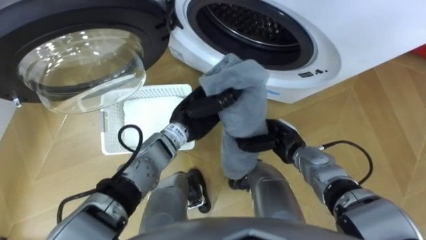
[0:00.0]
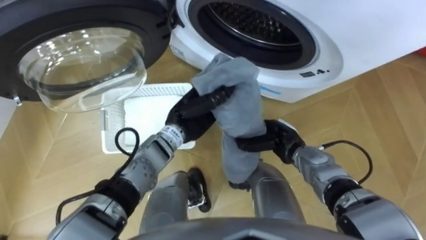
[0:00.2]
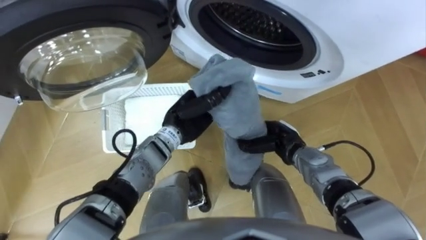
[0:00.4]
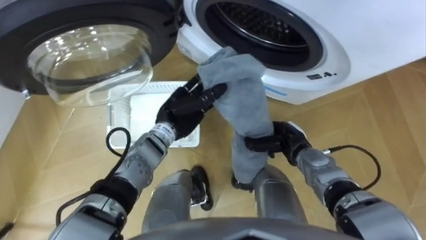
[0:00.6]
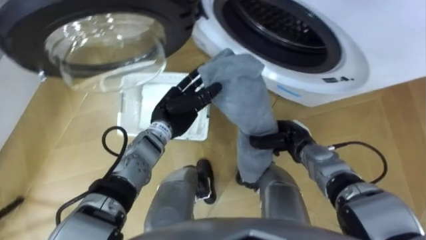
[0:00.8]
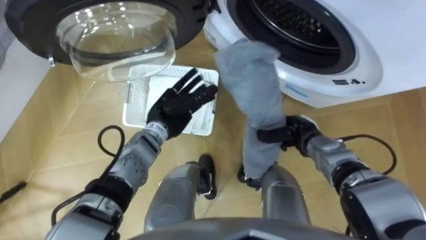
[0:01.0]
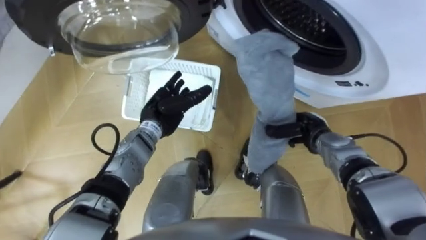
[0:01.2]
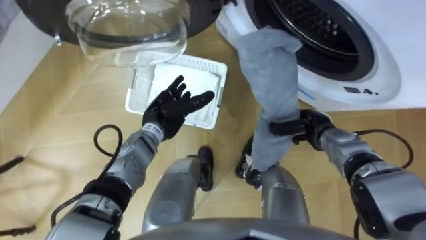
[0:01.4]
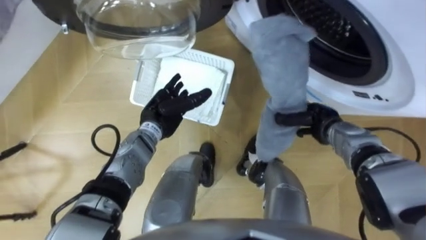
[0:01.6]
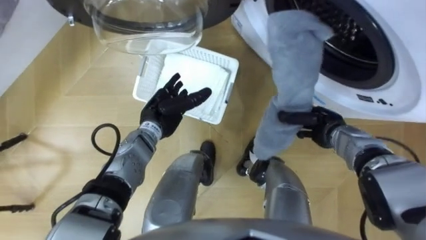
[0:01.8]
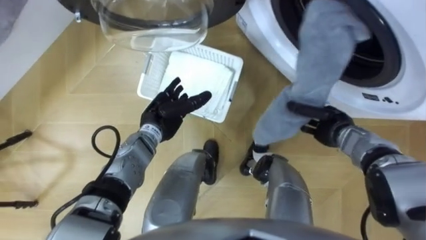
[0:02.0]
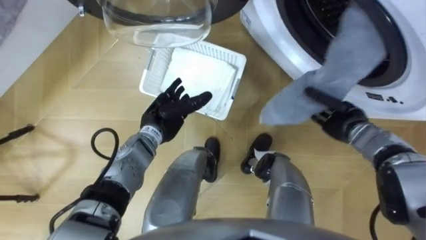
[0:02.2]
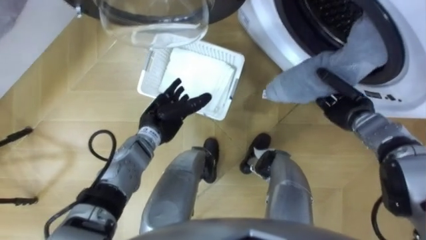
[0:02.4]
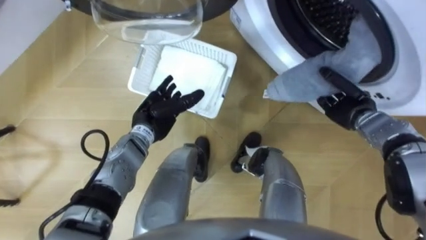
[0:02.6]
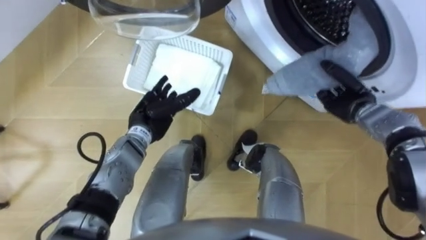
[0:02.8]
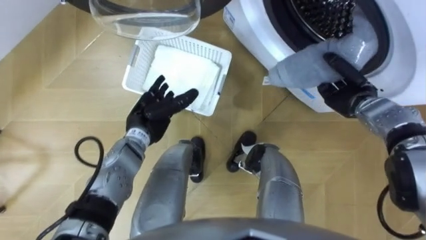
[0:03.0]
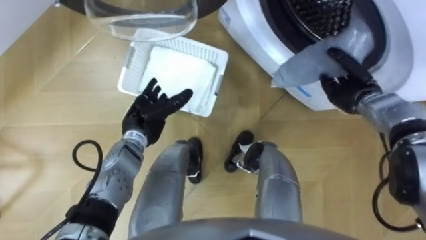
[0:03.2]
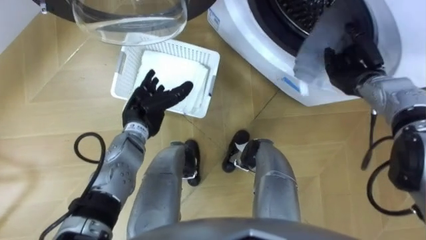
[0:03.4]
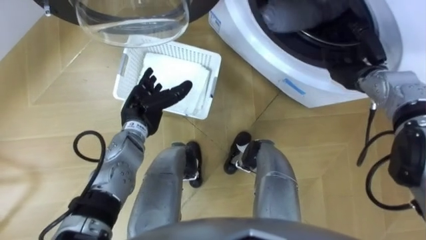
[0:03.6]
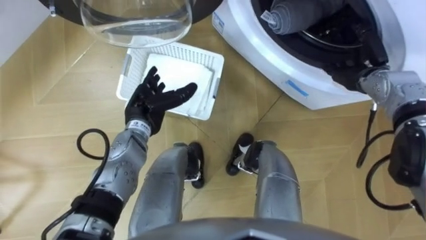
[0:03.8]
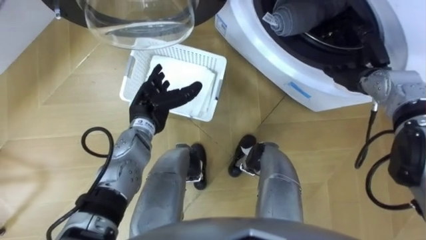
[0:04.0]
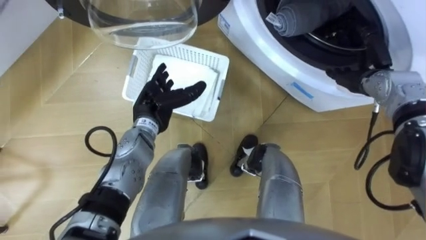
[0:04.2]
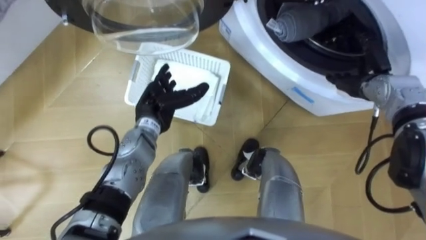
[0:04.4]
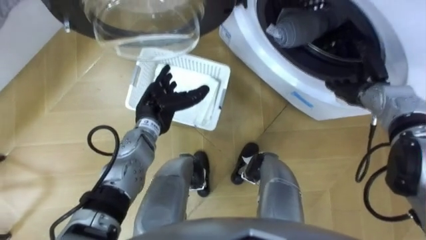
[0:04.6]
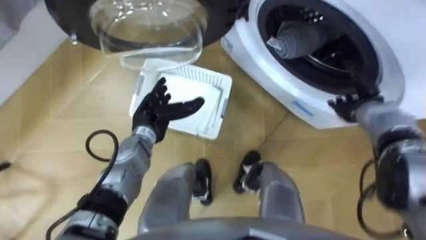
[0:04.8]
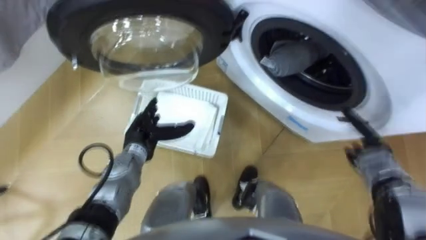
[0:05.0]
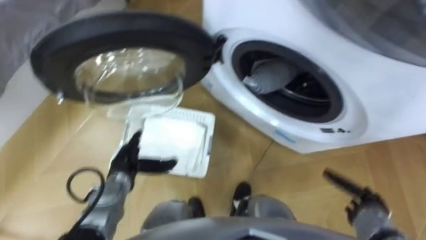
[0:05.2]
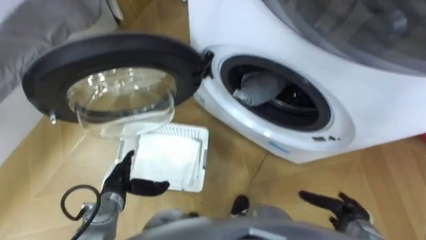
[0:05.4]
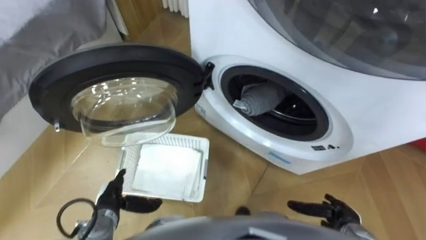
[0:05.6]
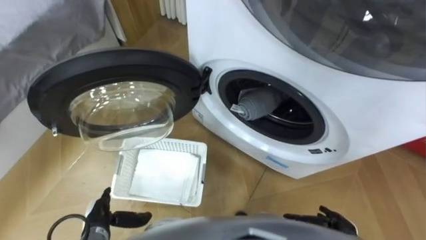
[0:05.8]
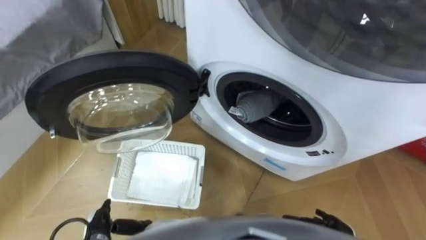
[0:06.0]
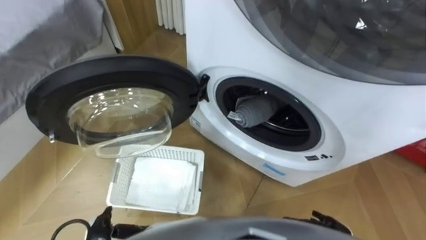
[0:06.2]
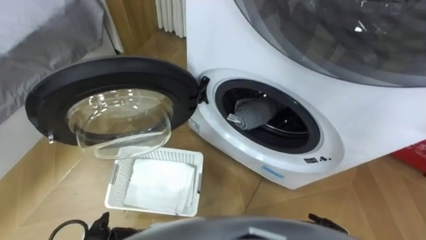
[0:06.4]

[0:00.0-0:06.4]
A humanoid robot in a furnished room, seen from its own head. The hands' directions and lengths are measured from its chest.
Task of the whole recording: Take the towel from the basket and put it into the washing machine.
0:00.0 to 0:01.6: The left hand goes roughly 10 cm to the left, and opens; the right hand shifts roughly 10 cm to the right.
0:01.6 to 0:03.2: The right hand travels to the right and upward by about 10 cm.
0:04.8 to 0:06.4: The right hand shifts about 30 cm backward and downward.

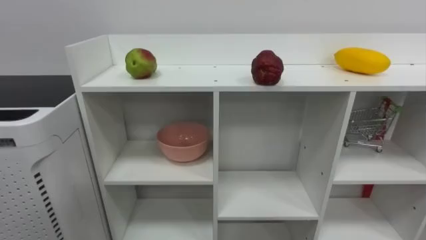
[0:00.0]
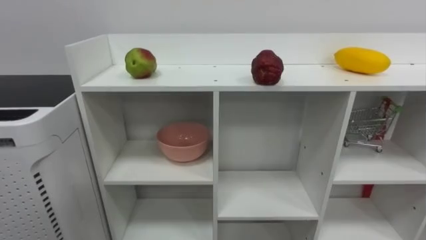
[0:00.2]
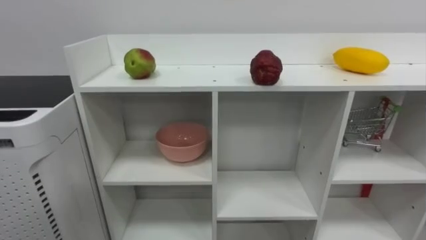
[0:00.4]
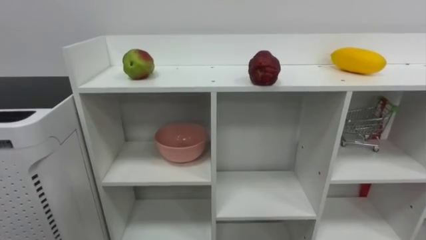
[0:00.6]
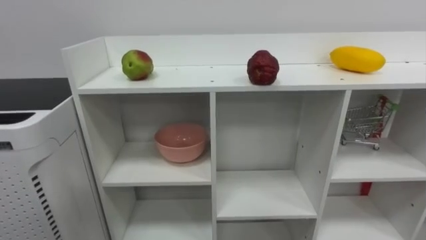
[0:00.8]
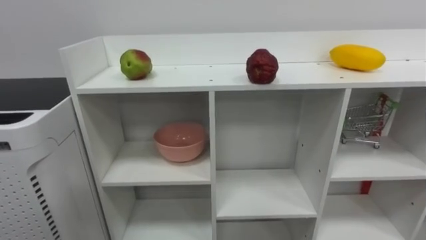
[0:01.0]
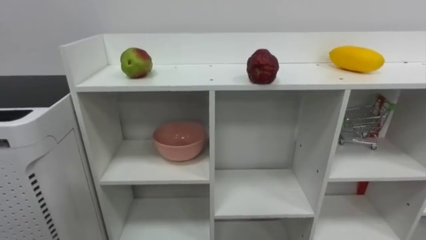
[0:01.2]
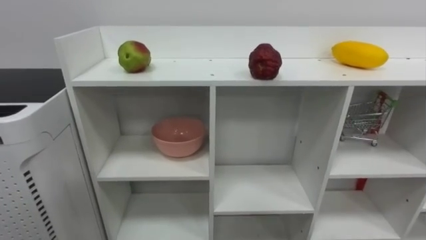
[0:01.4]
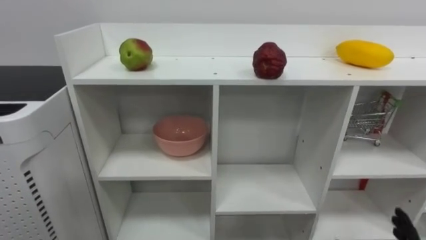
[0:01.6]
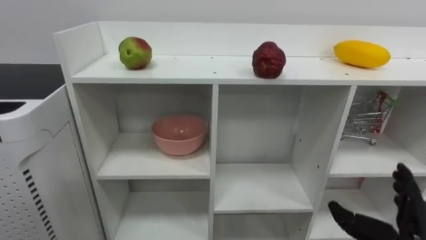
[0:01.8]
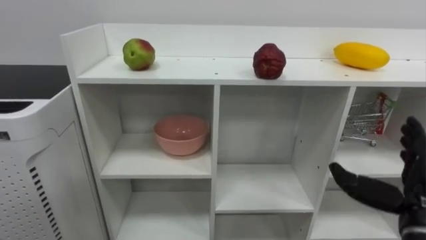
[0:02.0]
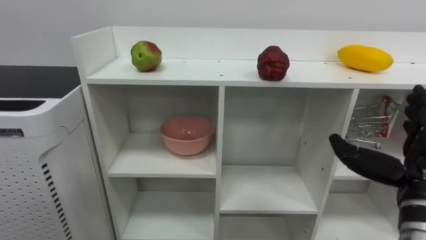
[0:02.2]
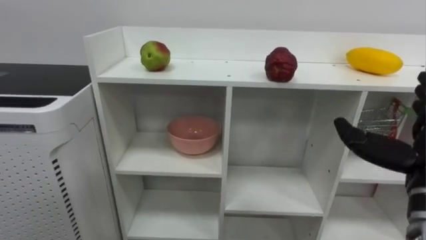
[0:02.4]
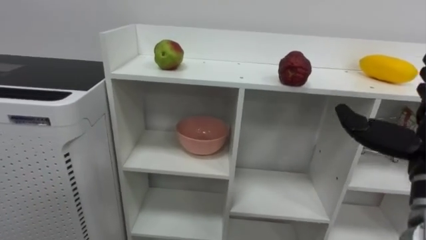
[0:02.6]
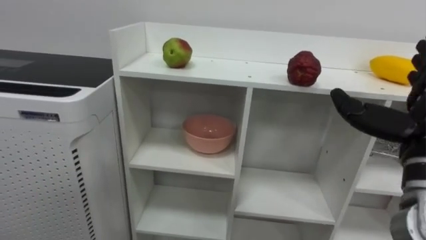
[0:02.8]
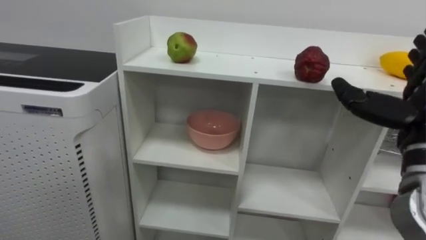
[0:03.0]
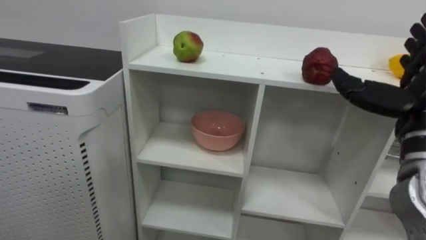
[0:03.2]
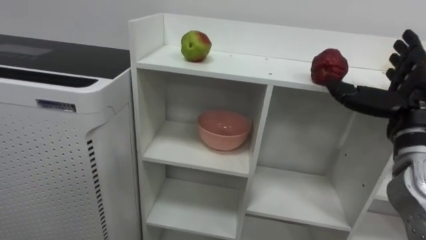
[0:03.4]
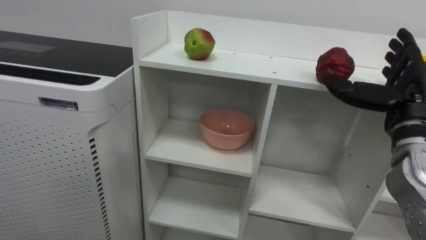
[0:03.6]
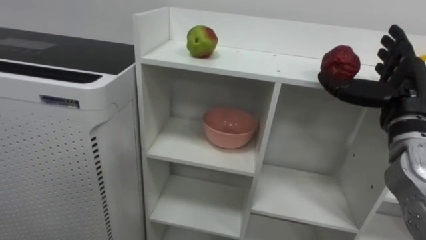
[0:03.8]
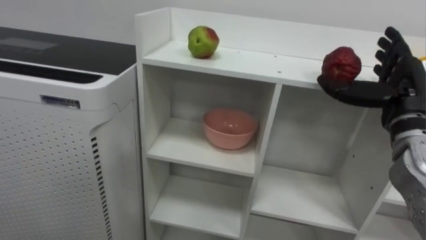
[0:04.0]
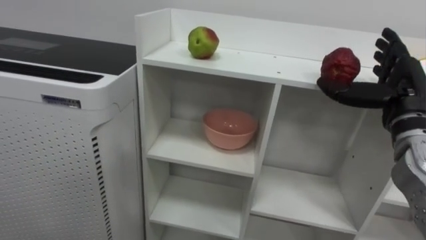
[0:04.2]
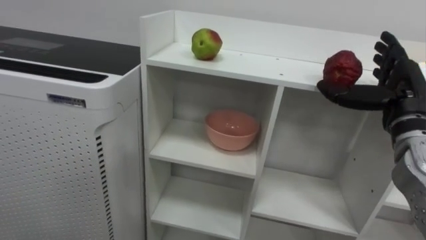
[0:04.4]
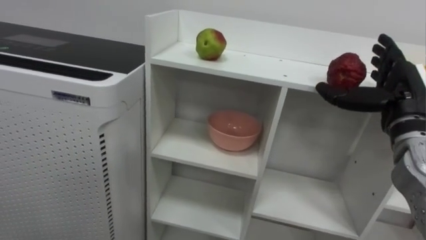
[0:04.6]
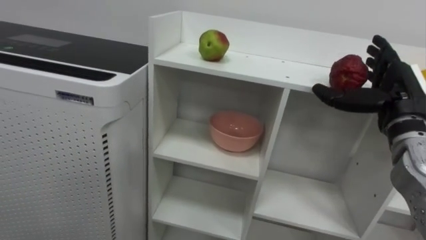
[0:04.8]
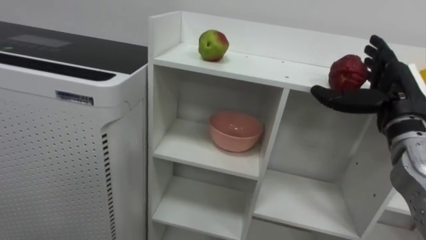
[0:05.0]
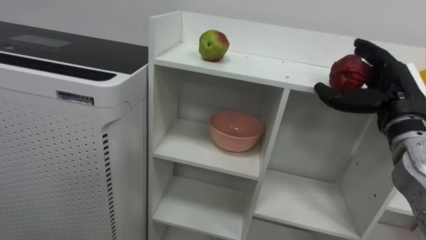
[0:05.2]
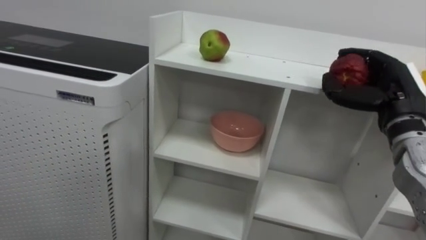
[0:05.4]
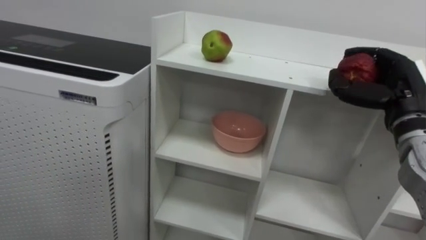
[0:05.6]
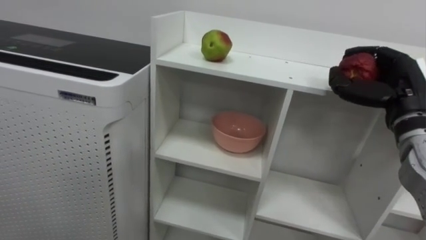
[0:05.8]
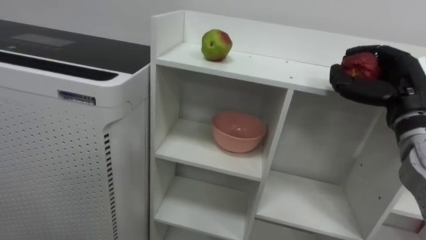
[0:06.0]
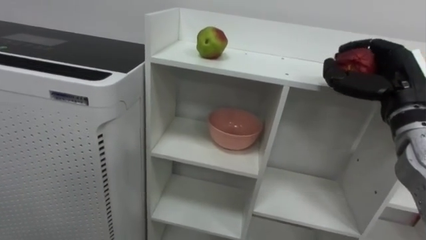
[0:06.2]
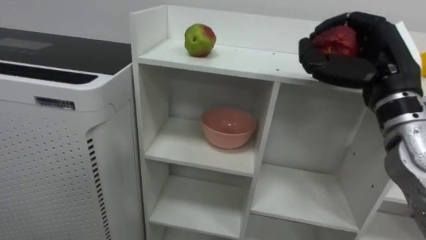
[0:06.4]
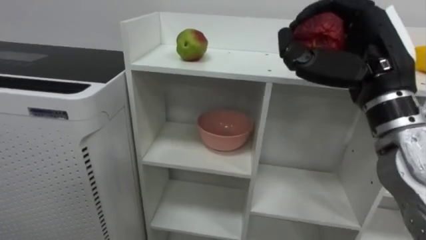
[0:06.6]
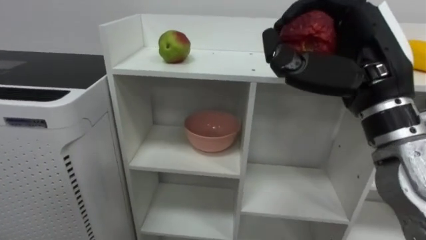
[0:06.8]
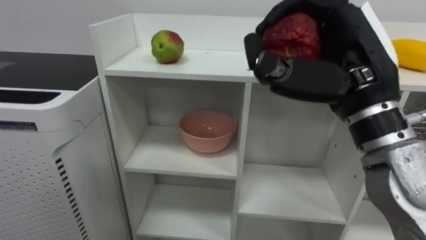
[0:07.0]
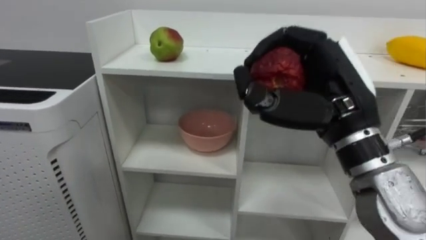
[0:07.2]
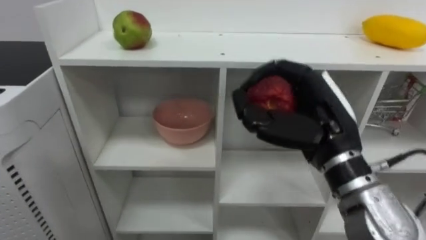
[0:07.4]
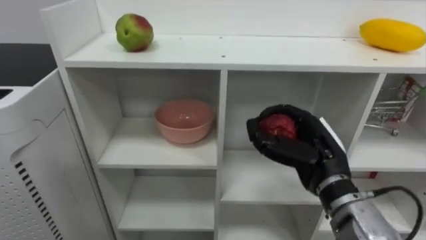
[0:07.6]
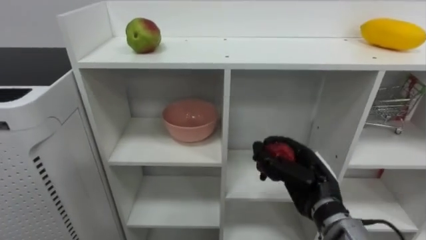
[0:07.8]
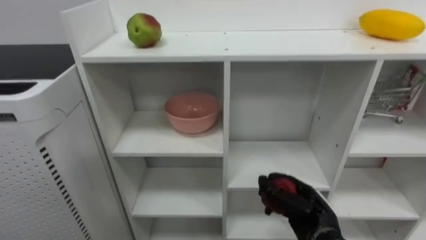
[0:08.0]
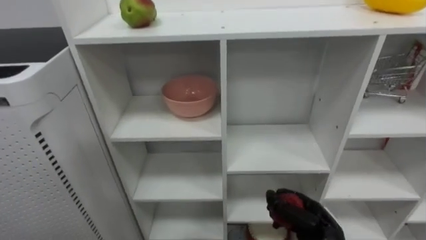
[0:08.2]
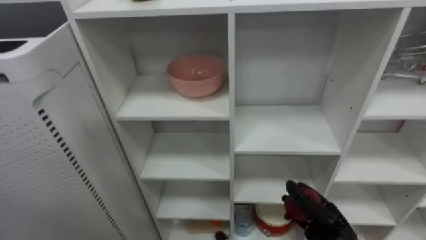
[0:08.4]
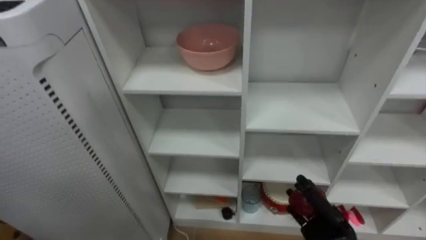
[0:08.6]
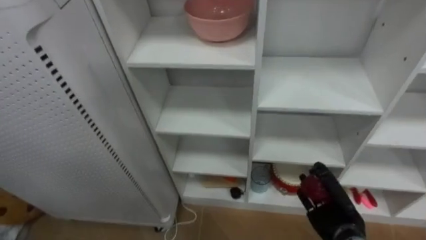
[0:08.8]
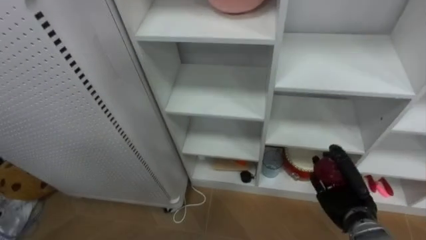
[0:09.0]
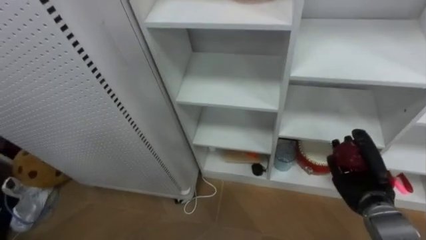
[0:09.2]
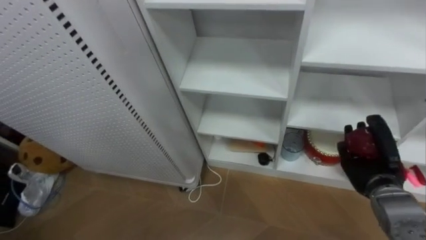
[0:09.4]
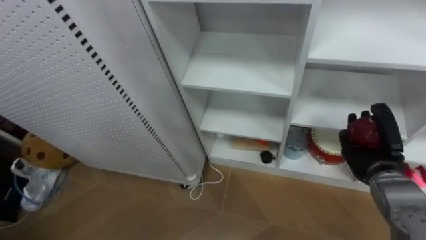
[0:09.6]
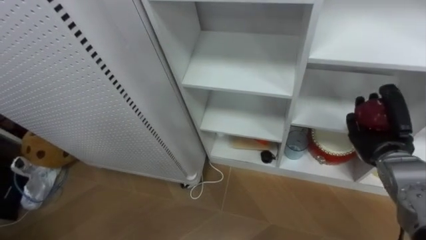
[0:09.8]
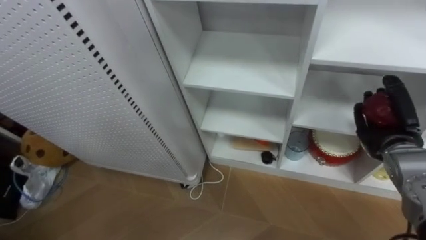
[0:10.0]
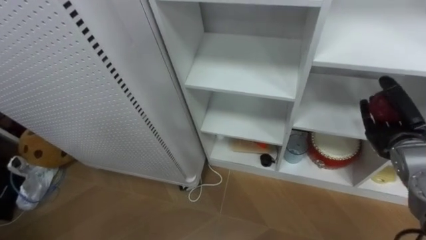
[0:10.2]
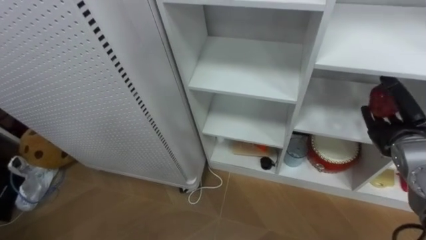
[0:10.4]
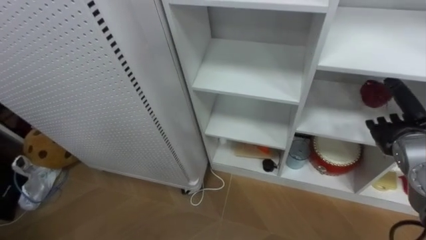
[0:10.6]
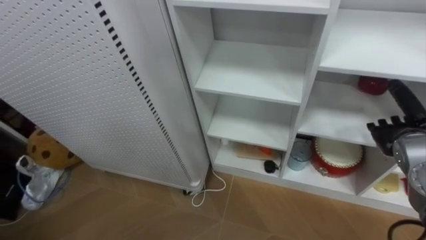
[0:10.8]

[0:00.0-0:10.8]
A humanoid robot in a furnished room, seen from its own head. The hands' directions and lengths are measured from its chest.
Task of the whole recording: Put the apple in the cell in the second column from the left and the second row from the top.
0:03.0 to 0:04.6: The right hand goes about 5 cm forward.
0:04.6 to 0:06.2: The right hand closes its fingers.
0:06.2 to 0:07.8: The right hand goes some 20 cm downward and to the left.
0:07.8 to 0:09.2: The right hand is displaced to the right and downward by approximately 15 cm.
0:09.2 to 0:10.8: The right hand heads upward and to the right, covering about 10 cm, and opens.
